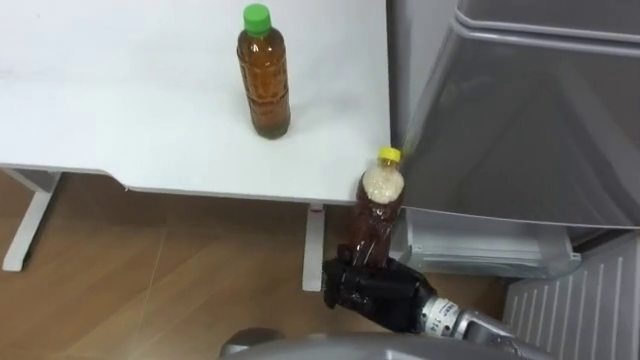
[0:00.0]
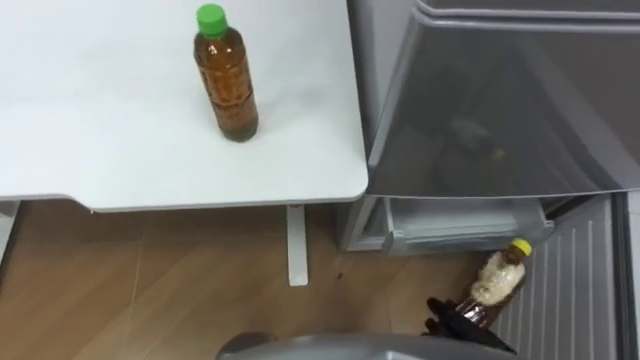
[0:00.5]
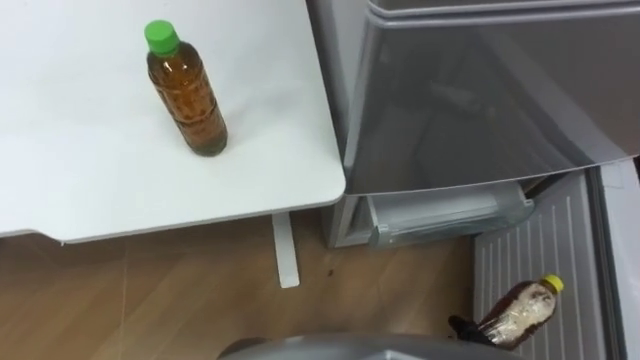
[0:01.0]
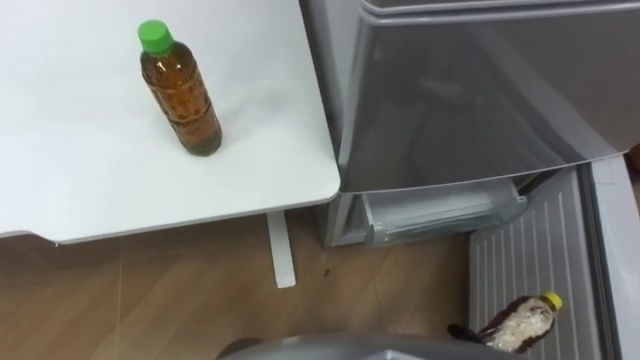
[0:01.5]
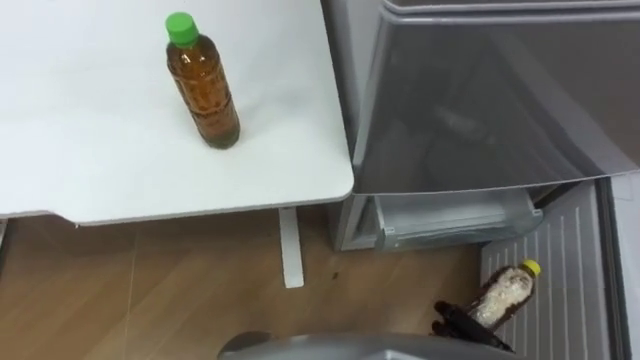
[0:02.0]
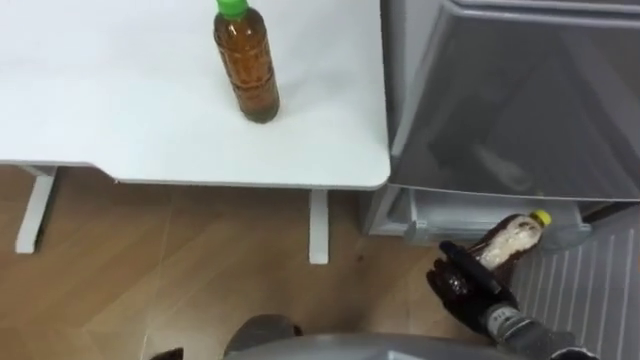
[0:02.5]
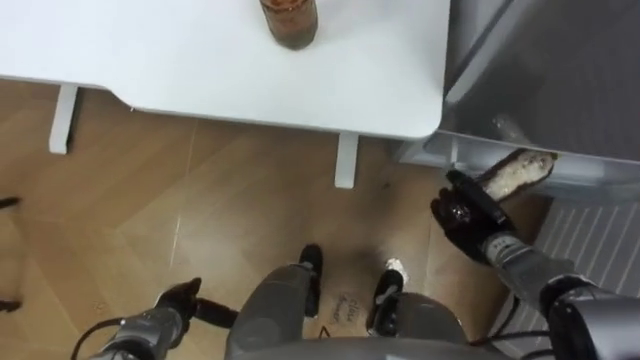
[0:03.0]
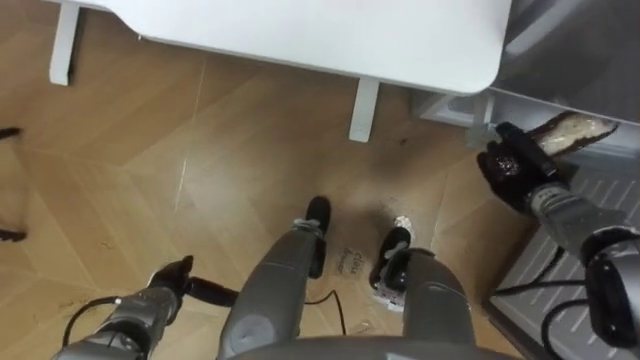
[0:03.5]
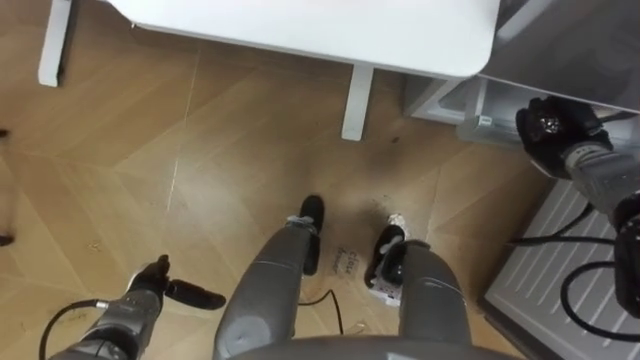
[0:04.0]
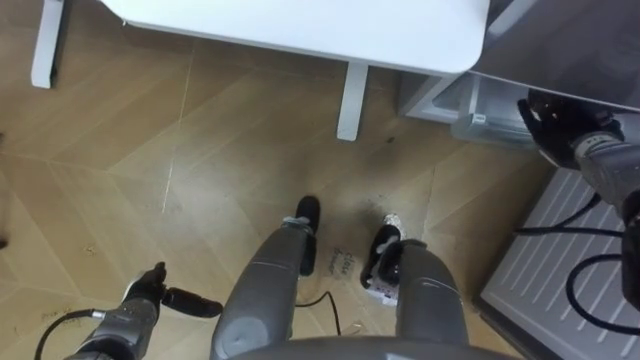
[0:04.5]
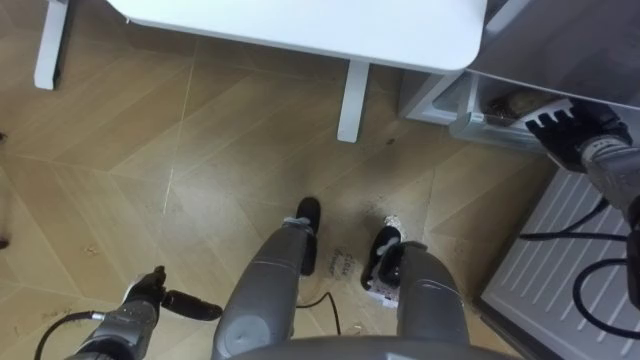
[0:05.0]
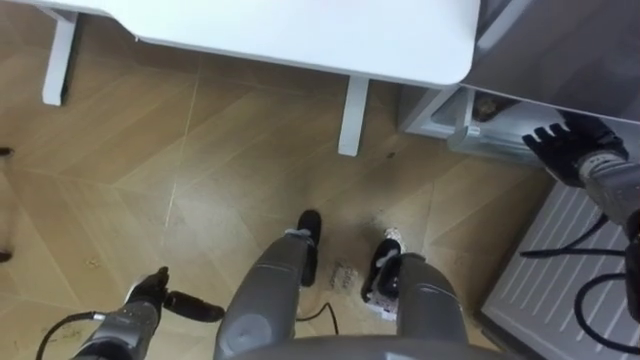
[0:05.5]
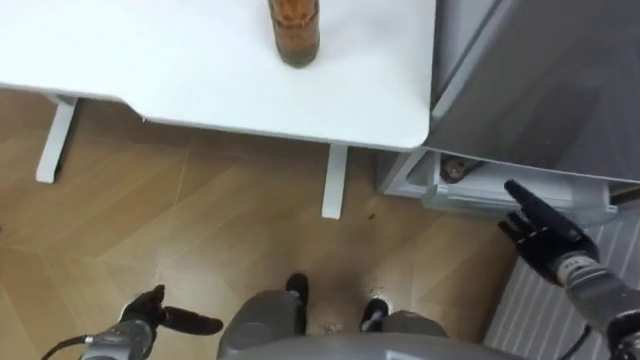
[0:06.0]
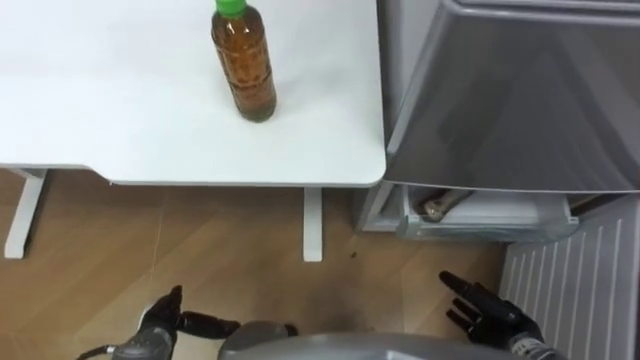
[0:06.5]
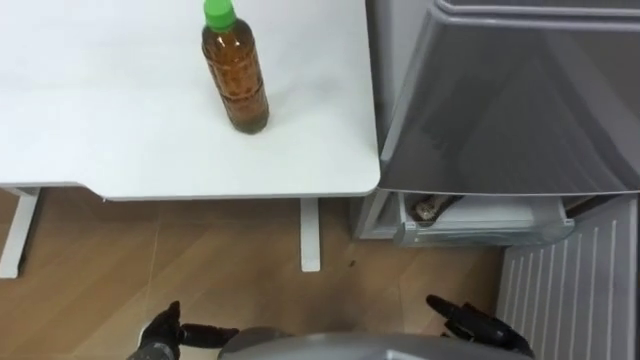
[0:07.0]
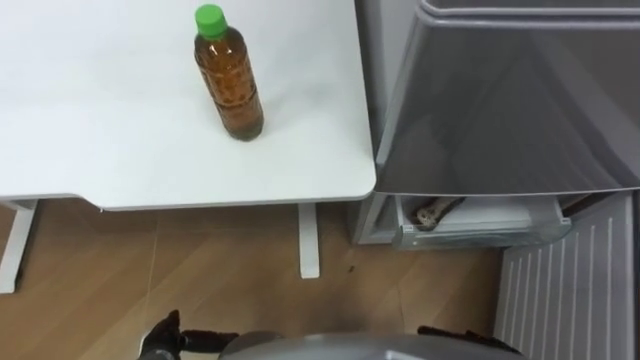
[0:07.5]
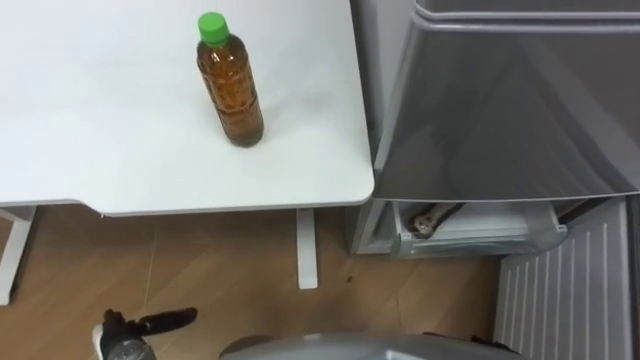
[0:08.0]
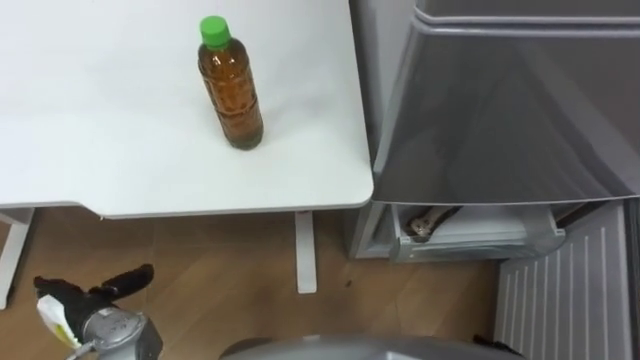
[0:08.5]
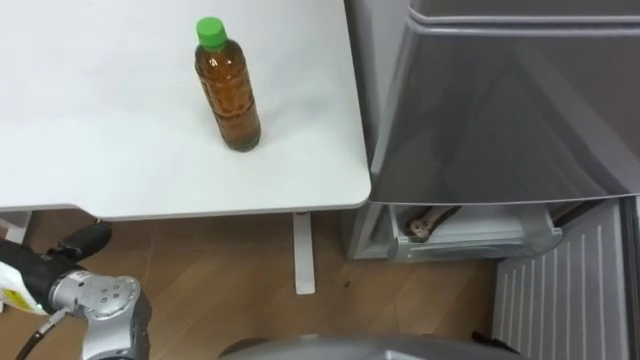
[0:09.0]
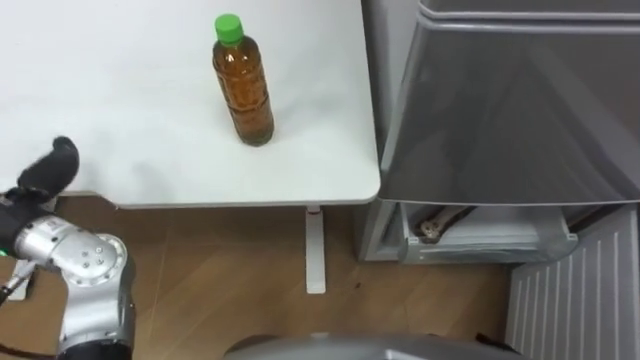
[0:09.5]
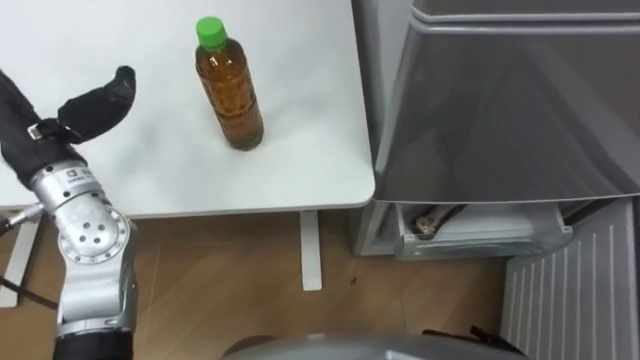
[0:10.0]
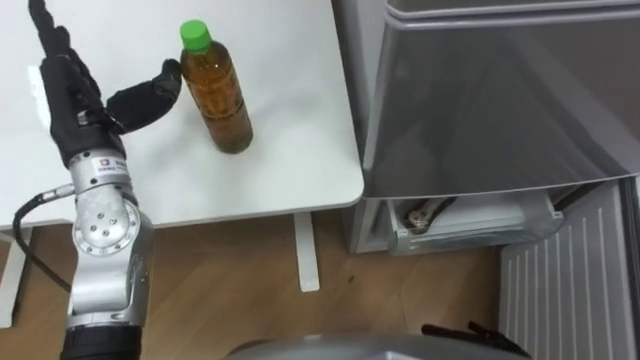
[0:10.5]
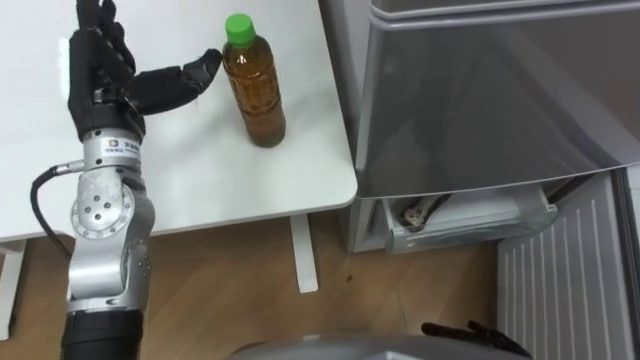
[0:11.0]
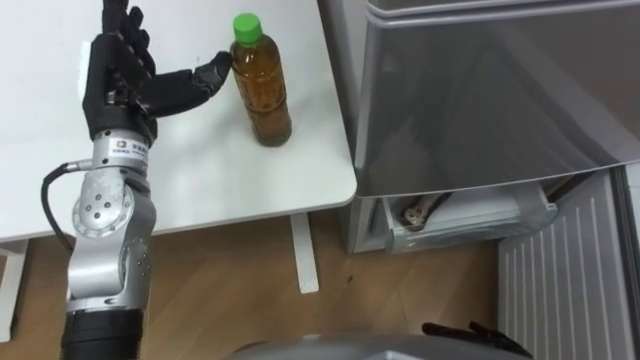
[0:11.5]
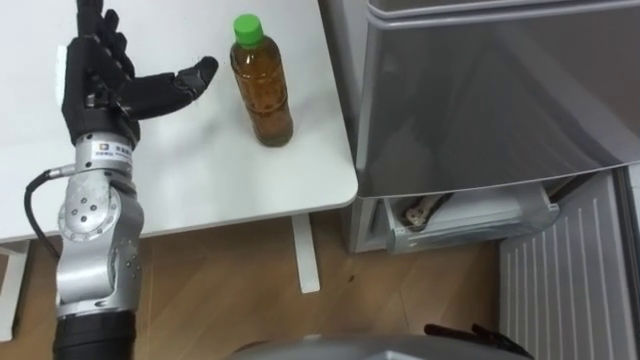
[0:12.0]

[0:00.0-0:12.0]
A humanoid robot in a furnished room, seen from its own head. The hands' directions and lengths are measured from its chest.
Task of the whole recording: Place the drink on the table on the bottom shelf of the refrigerator, then close the drawer and the refrigerator door.
0:04.0 to 0:06.0: The right hand travels backward and downward by about 15 cm, and opens its fingers.
0:10.0 to 0:12.0: The left hand shifts some 10 cm to the right and forward.

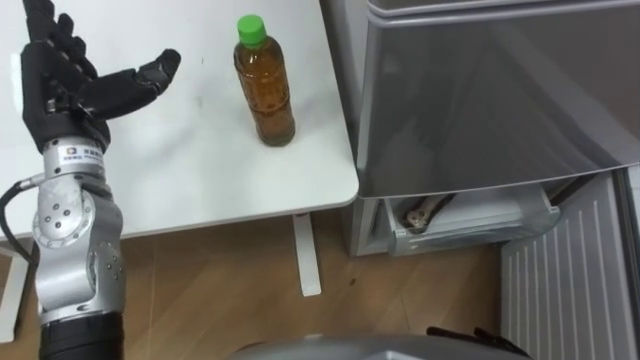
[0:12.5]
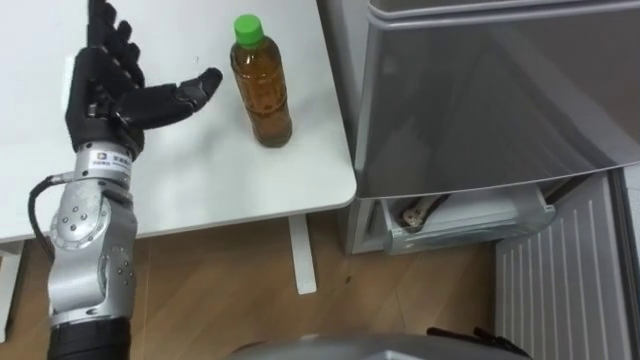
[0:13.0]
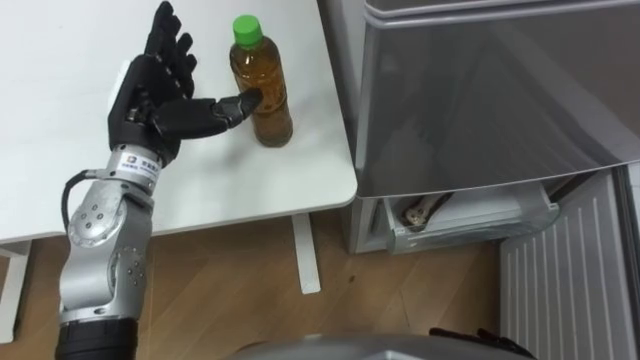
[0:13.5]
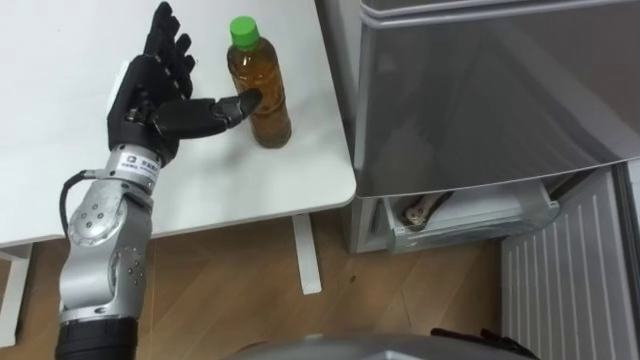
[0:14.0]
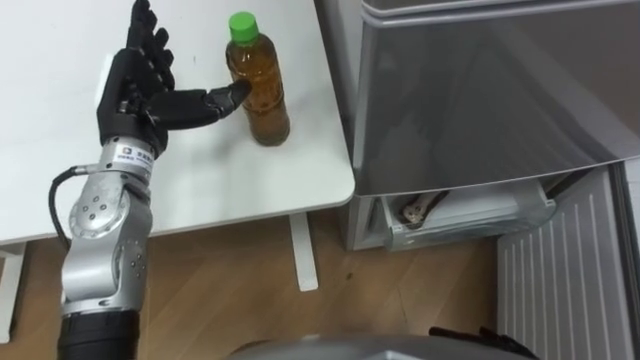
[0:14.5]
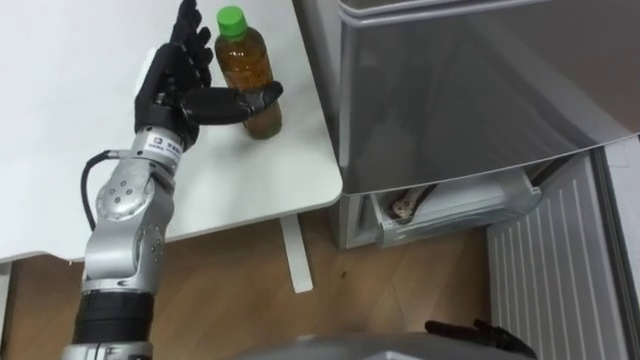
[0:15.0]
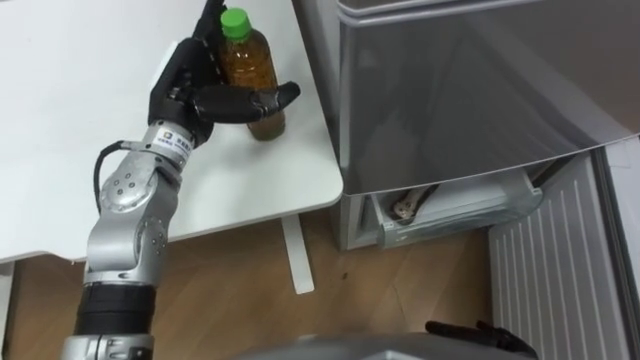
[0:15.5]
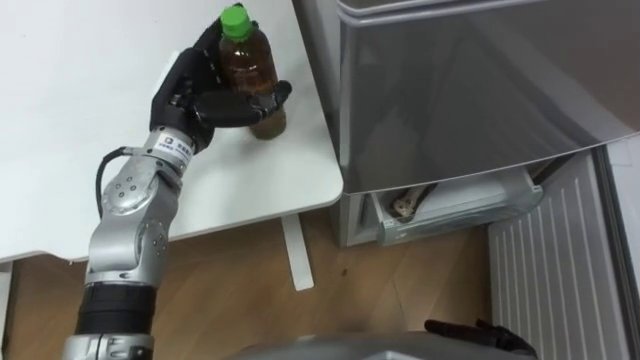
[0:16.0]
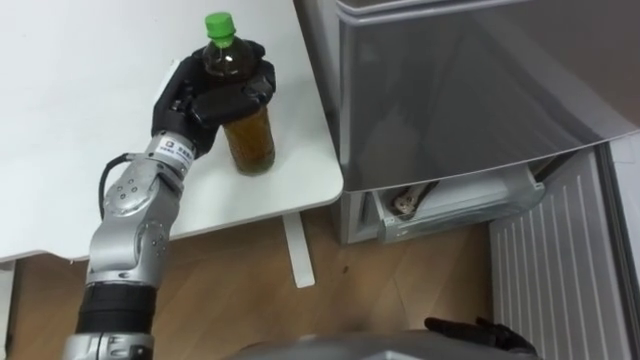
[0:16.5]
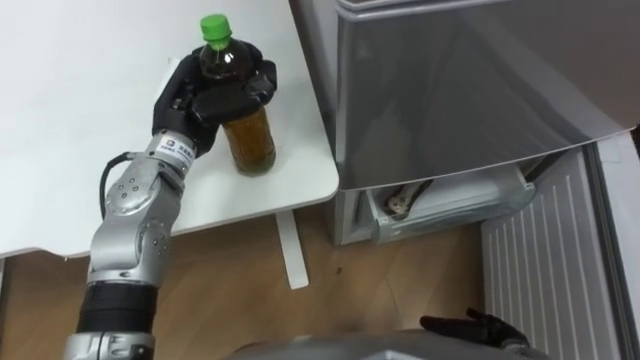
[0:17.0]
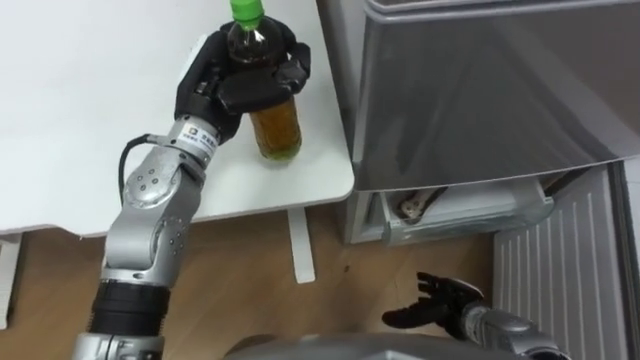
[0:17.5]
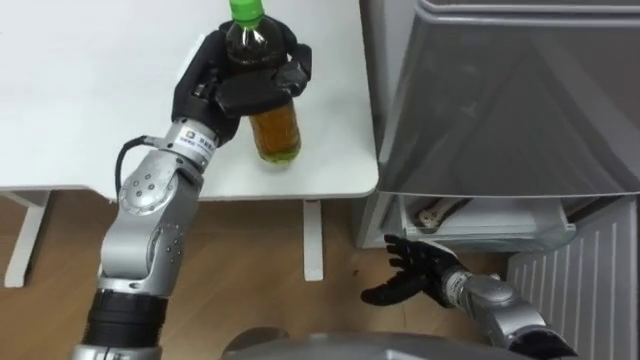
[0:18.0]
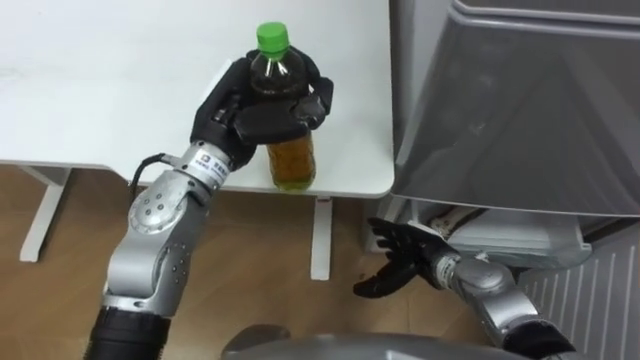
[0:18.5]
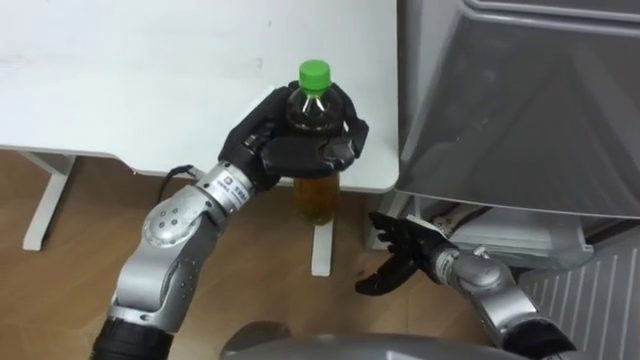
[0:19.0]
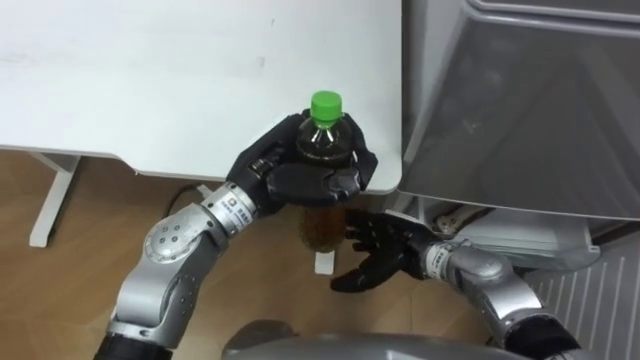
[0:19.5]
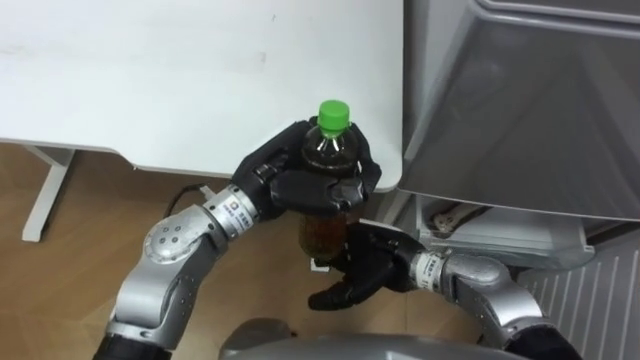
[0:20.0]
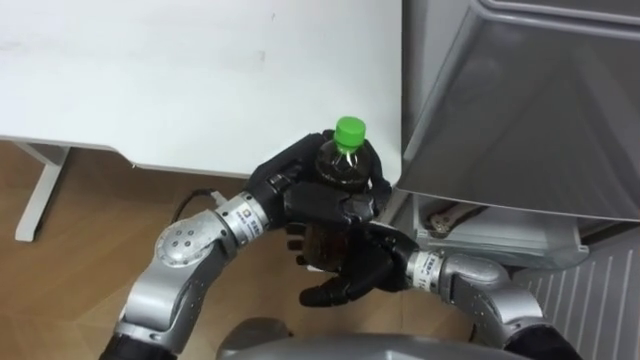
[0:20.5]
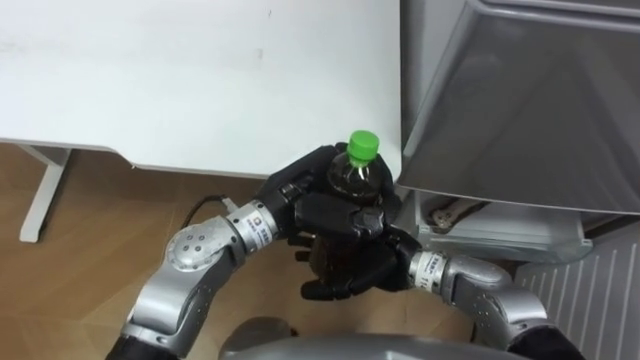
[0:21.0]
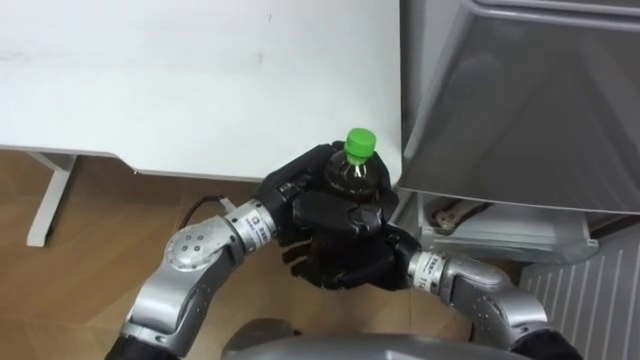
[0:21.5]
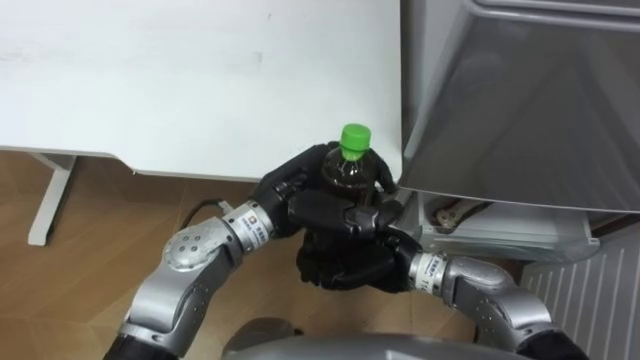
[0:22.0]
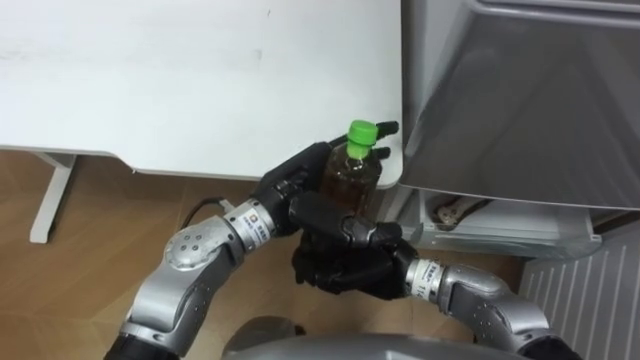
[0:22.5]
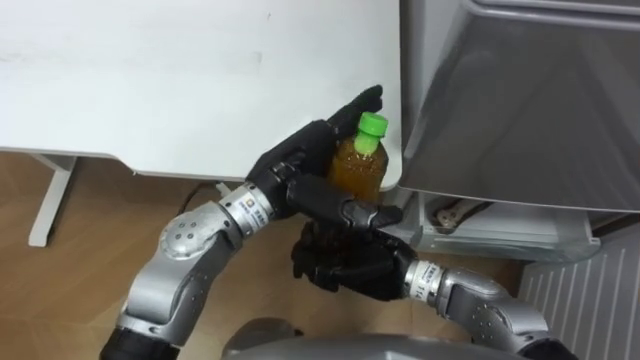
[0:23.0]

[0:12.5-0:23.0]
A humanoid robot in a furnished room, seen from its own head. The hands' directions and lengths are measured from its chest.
Task of the whole recording: Place the drink on the table on the bottom shelf of the refrigerator, then close the drawer and the refrigerator door.
0:12.5 to 0:14.5: The left hand is displaced to the right by roughly 5 cm.
0:14.5 to 0:16.5: The left hand moves to the right, about 5 cm, and closes up.
0:16.5 to 0:19.0: The right hand is displaced forward, to the left and upward by roughly 20 cm. Meanwhile the left hand travels to the right by roughly 10 cm.
0:19.0 to 0:21.0: The right hand is displaced to the left and upward by roughly 10 cm, while the left hand moves about 5 cm.
0:21.0 to 0:23.0: The left hand opens its fingers, while the right hand closes.
